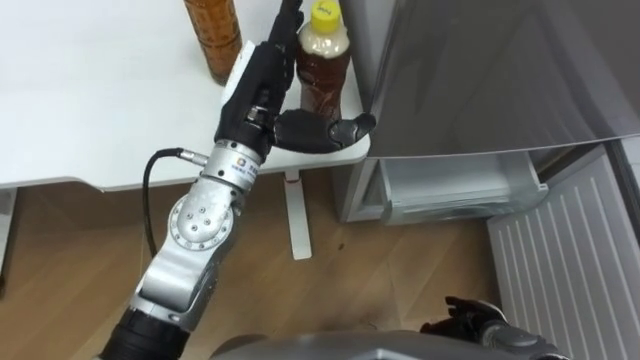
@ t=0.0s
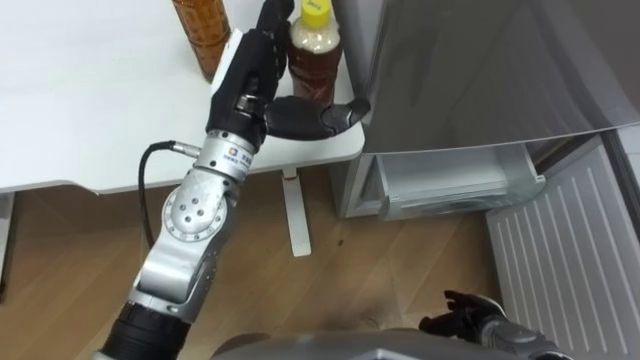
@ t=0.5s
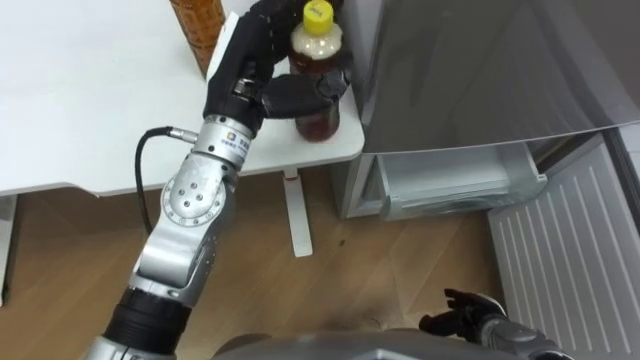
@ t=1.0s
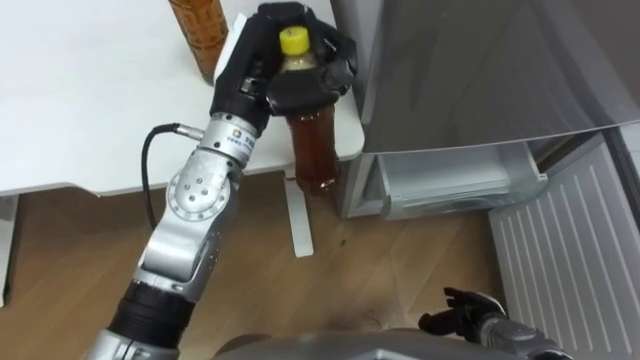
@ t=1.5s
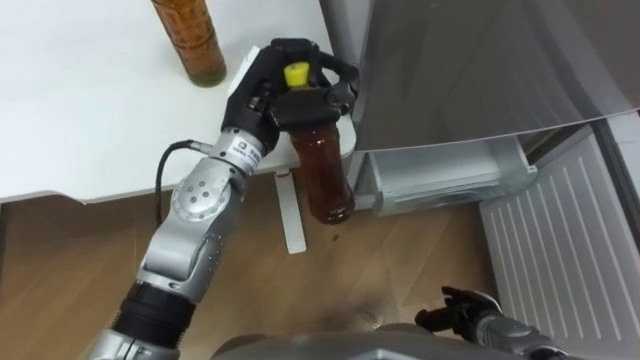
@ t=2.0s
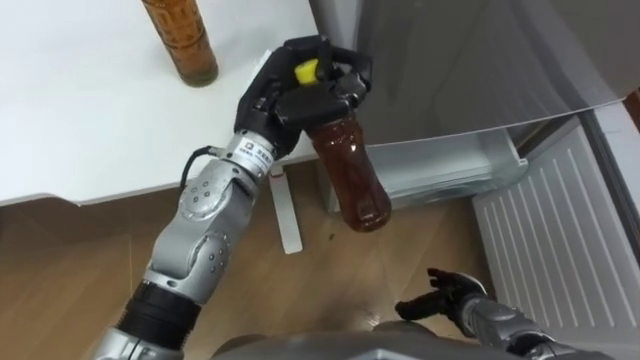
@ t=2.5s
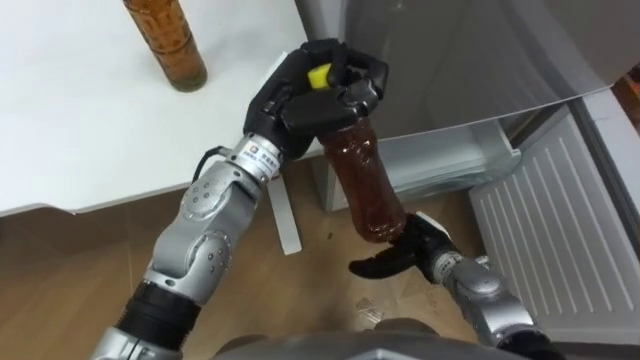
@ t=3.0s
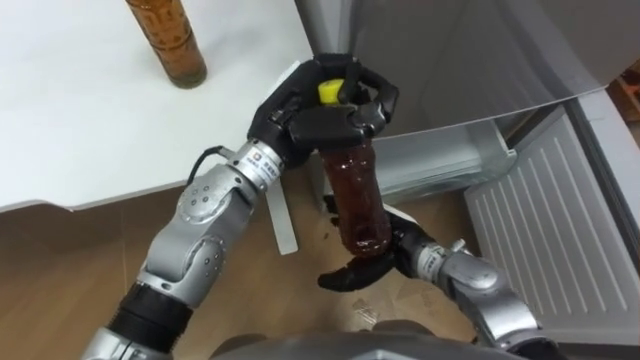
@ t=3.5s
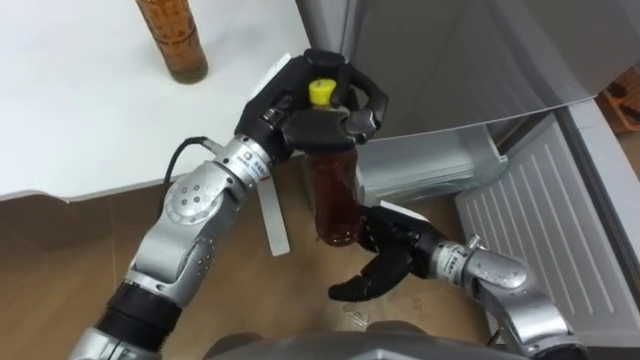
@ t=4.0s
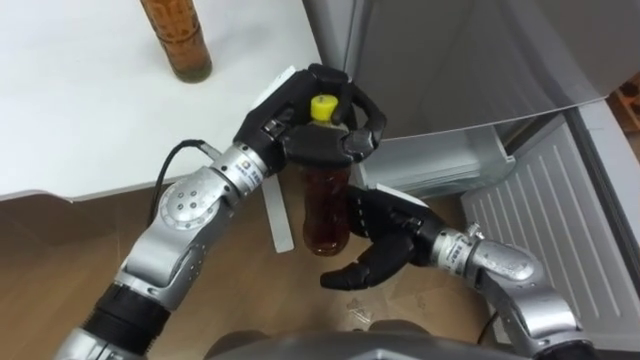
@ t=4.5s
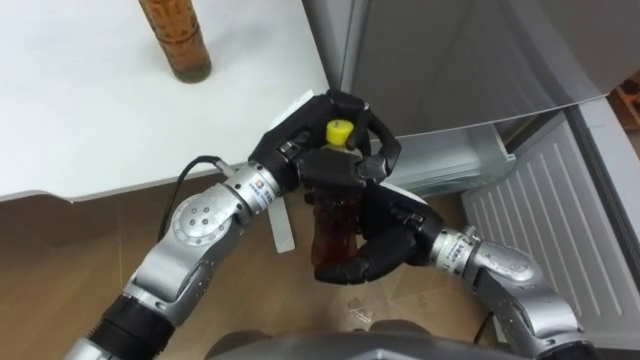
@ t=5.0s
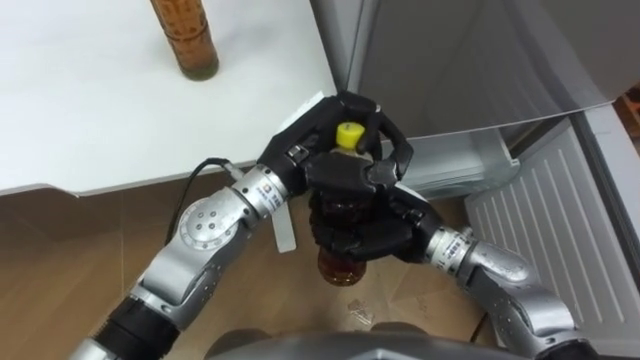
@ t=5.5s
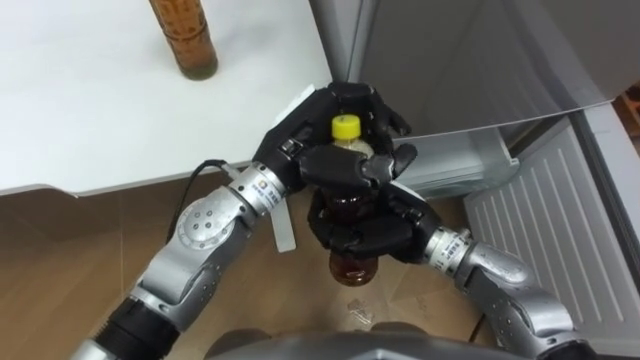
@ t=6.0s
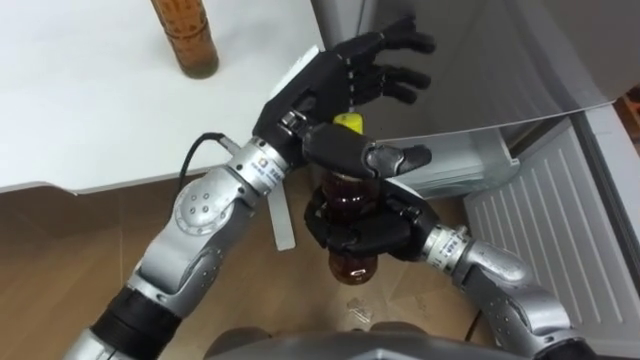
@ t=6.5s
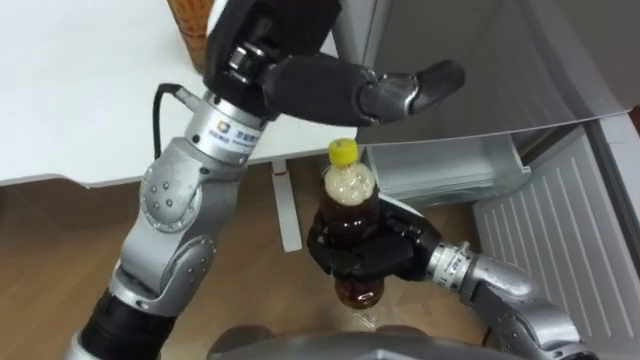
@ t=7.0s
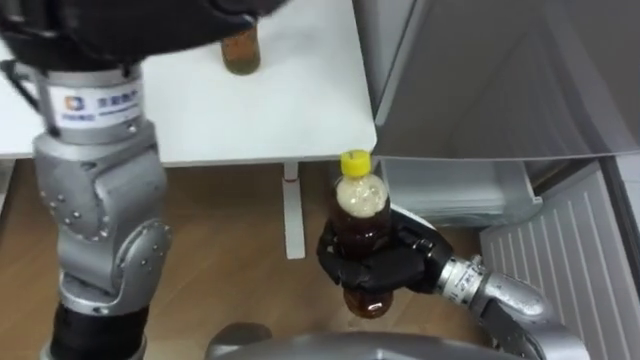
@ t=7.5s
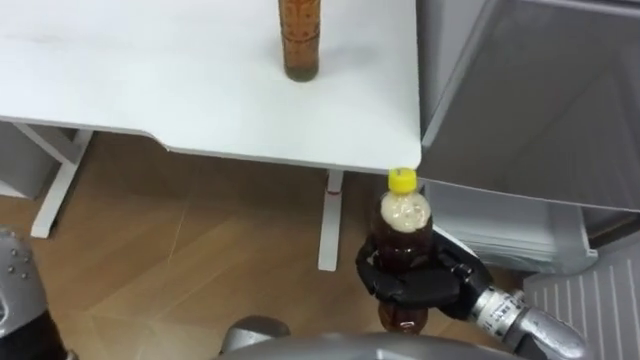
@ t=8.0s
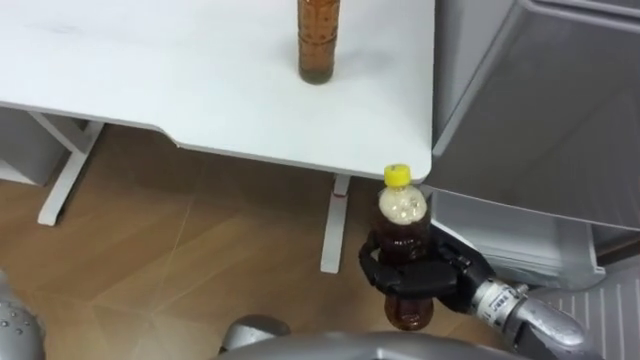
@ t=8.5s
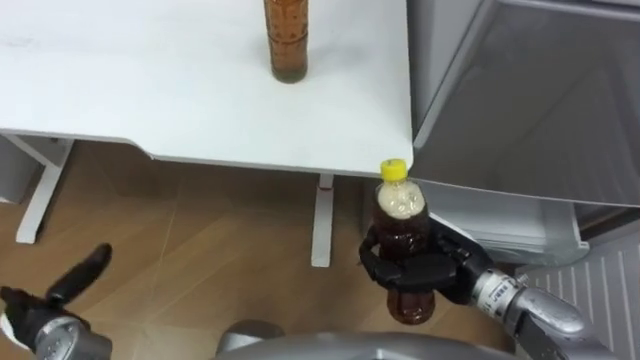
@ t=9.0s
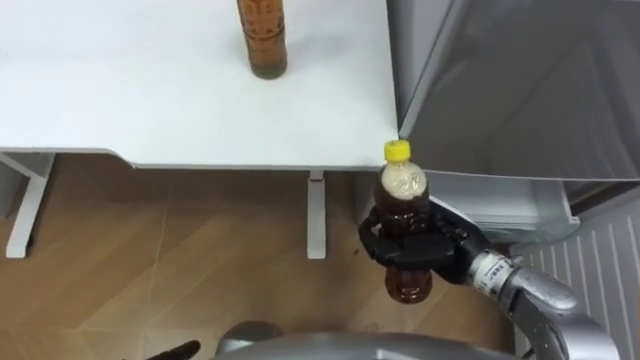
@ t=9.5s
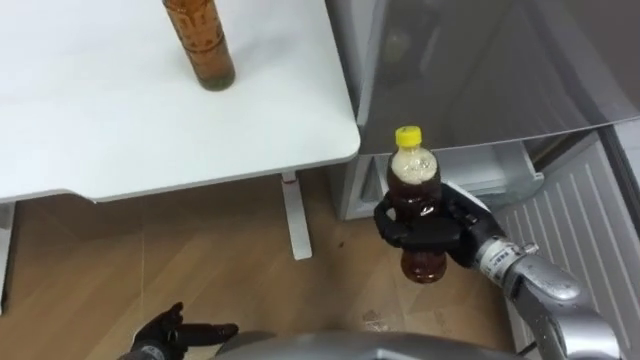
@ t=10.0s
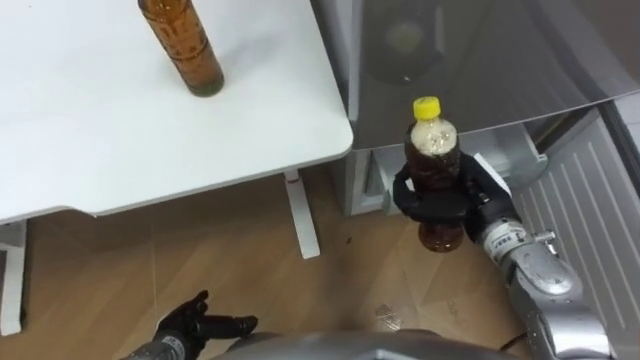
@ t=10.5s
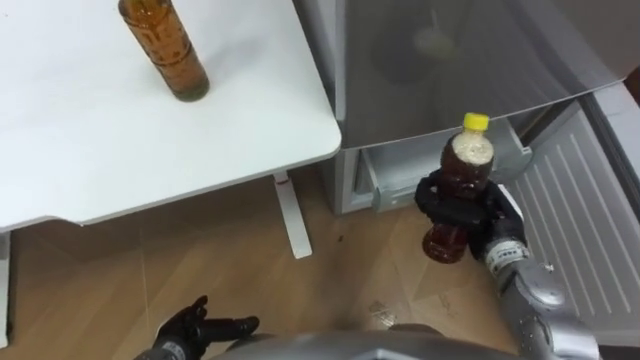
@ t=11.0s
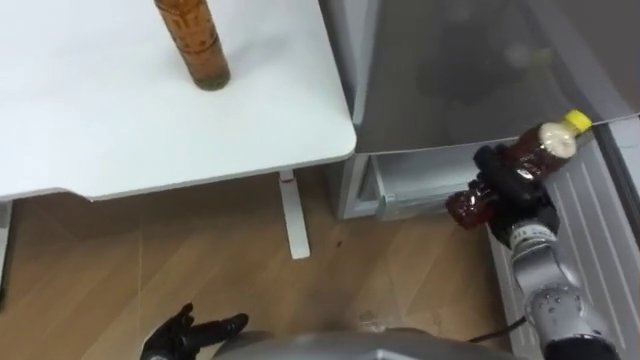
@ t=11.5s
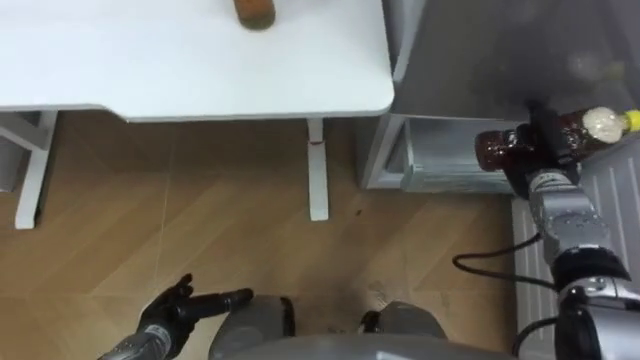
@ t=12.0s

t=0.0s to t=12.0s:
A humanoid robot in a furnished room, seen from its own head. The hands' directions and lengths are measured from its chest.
Task of the whole recording: Place the drink on the table on the bottom shelf of the refrigerator, then close the drawer and the refrigerator door.
t=0.0s to t=2.0s: The left hand closes its fingers.
t=2.0s to t=4.0s: The right hand heads upward, to the left and forward, covering about 20 cm.
t=4.0s to t=6.0s: The right hand changes place by roughly 5 cm, and closes its fingers.
t=6.0s to t=8.0s: The right hand travels to the right and backward by approximately 10 cm.
t=8.0s to t=10.0s: The right hand shifts approximately 5 cm forward.
t=10.0s to t=12.0s: The right hand is displaced to the right and forward by some 15 cm.

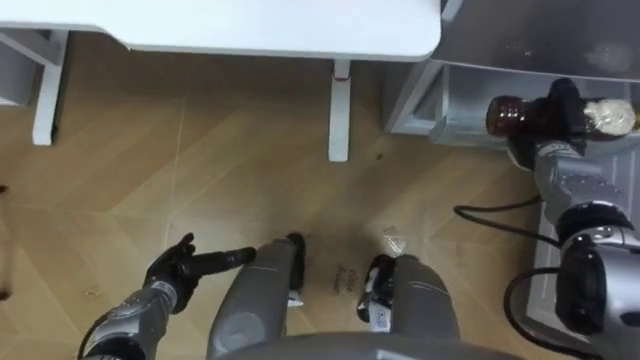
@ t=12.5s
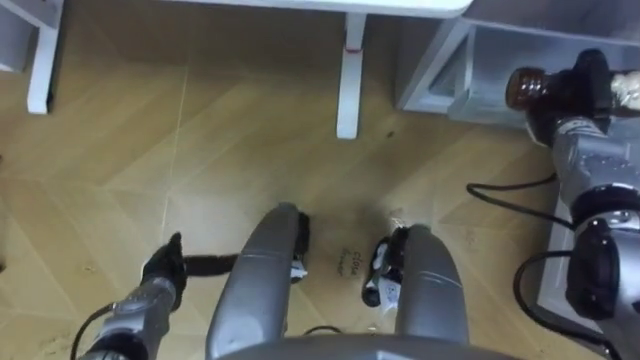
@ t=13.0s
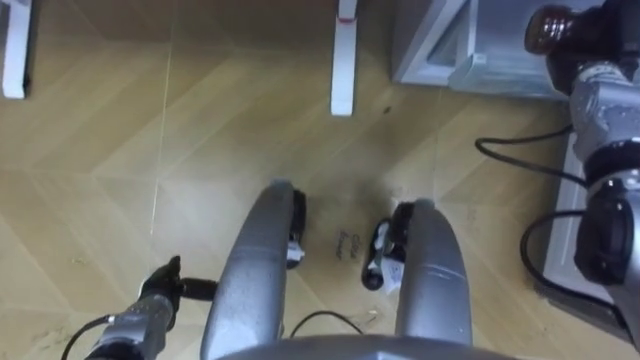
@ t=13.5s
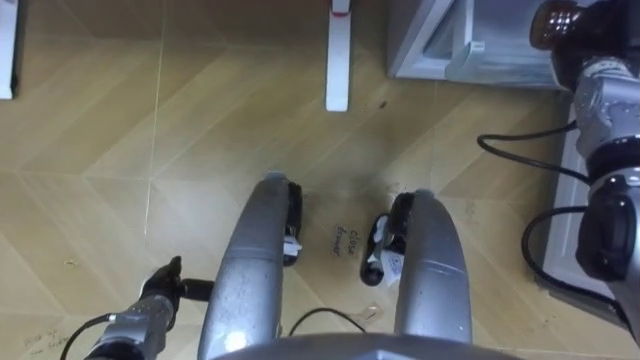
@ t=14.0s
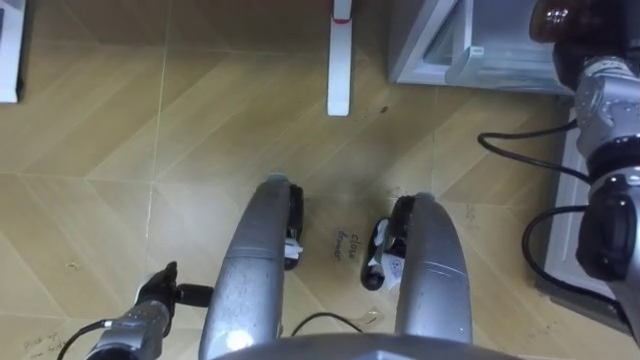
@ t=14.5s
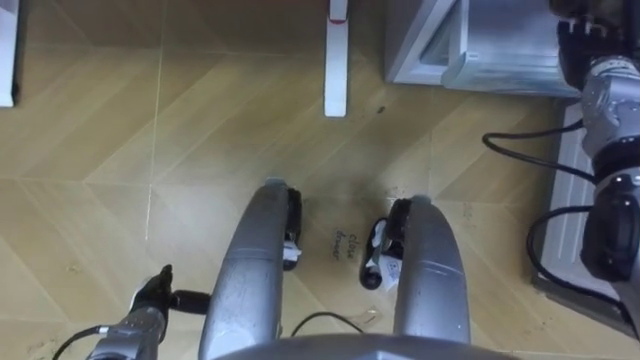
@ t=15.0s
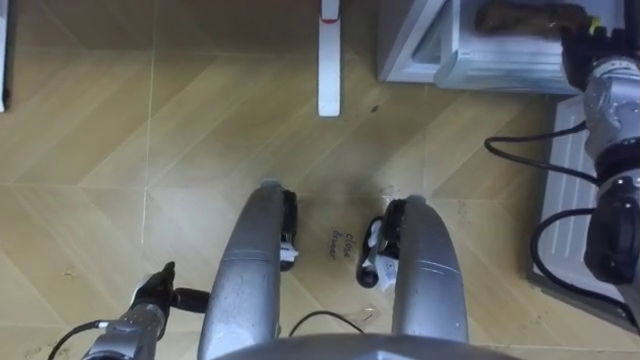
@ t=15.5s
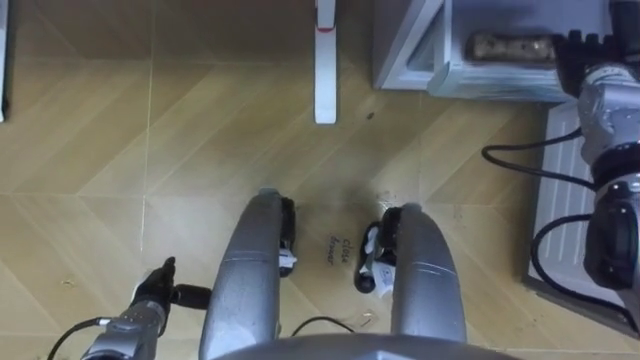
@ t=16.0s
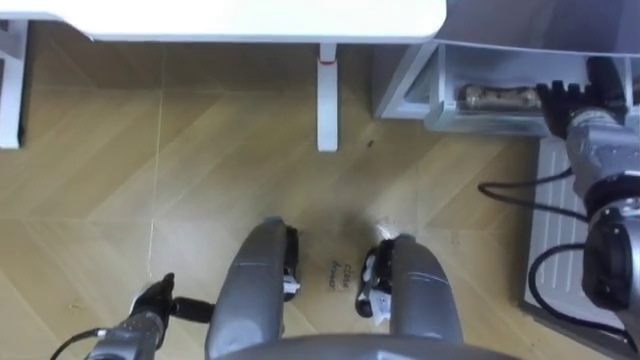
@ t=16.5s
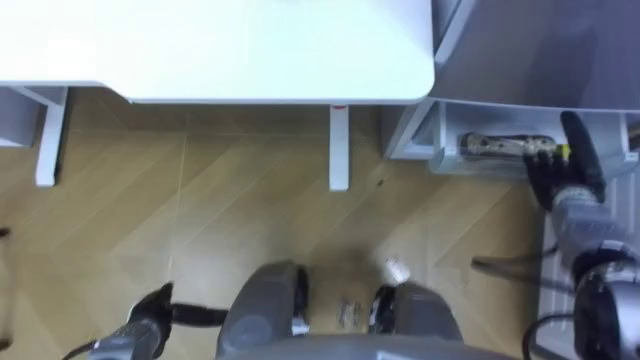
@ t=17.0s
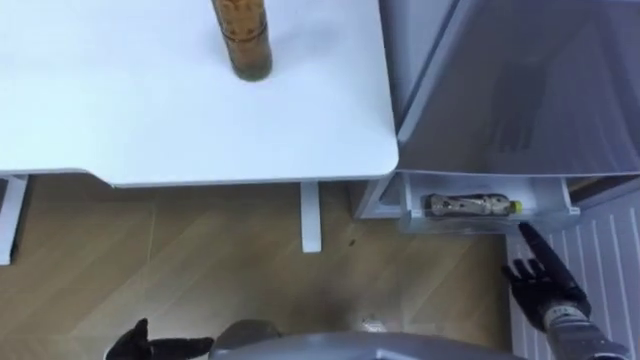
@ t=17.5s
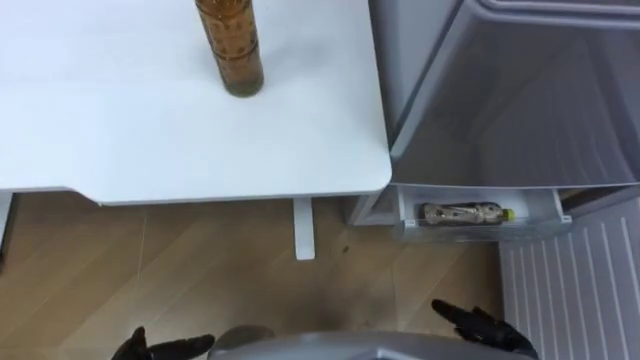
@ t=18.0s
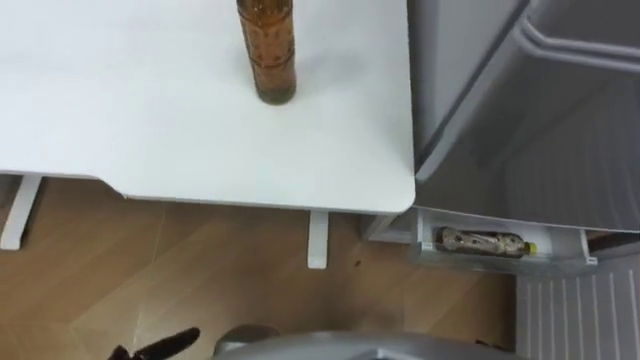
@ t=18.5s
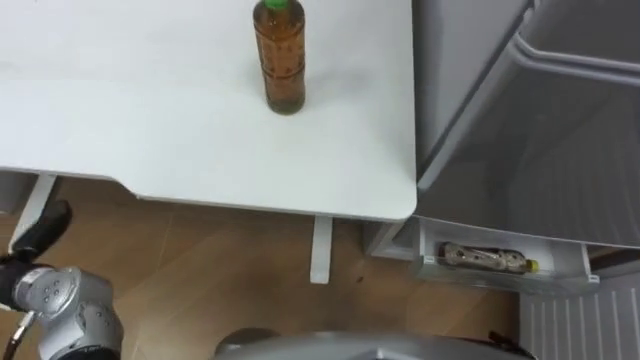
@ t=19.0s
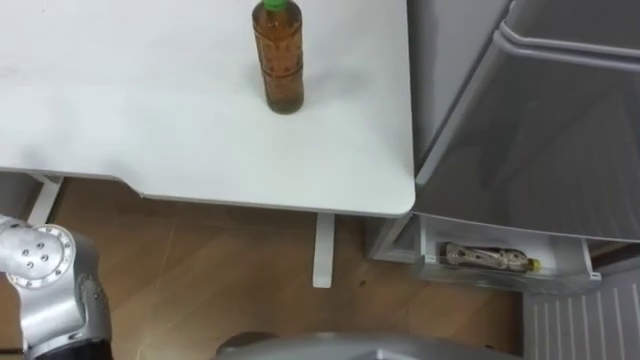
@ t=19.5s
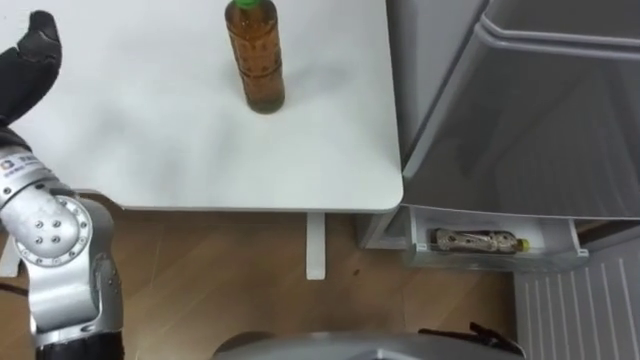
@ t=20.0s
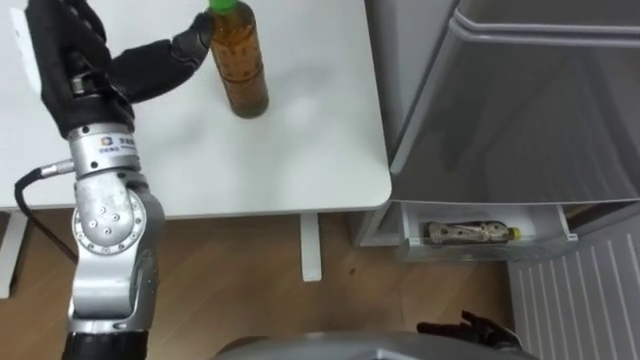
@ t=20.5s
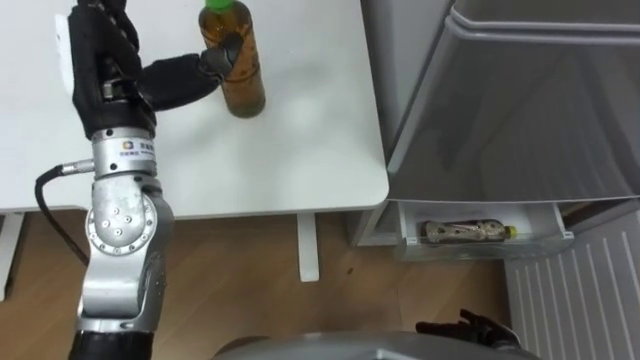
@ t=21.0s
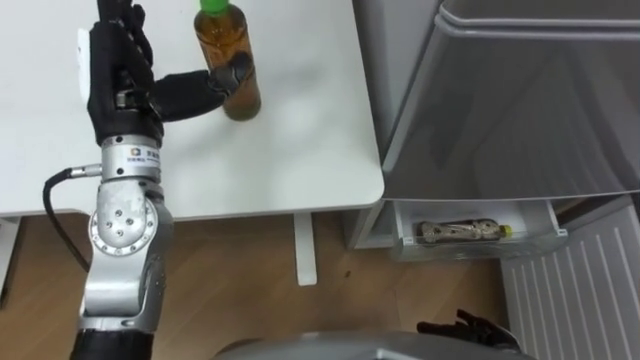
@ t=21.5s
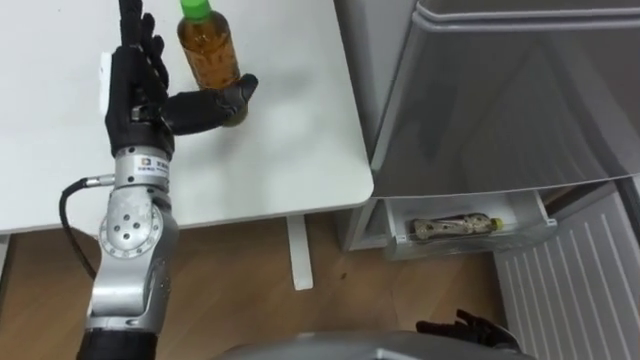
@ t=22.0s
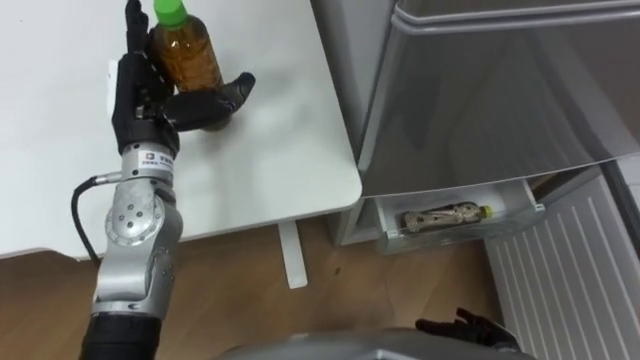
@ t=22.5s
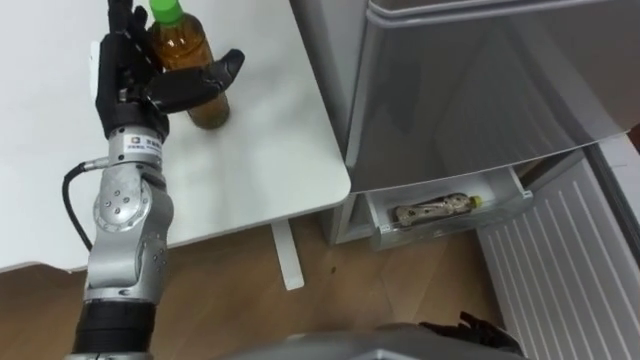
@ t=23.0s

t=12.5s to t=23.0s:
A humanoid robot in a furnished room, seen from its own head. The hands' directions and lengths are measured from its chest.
Task of the whole recording: Place the drink on the table on the bottom shelf of the refrigerator, then close the drawer and the refrigerator door.
t=12.5s to t=14.5s: The right hand moves upward and forward, about 10 cm, and opens.
t=14.5s to t=16.5s: The right hand heads downward, covering roughly 5 cm, and opens up.
t=21.0s to t=23.0s: The left hand moves downward, about 5 cm.
